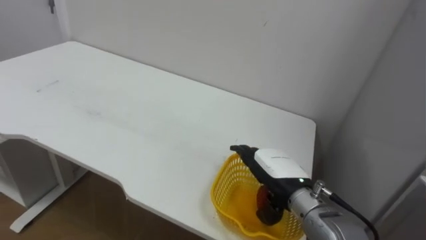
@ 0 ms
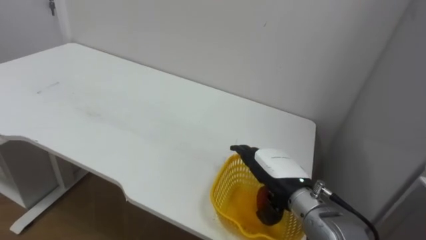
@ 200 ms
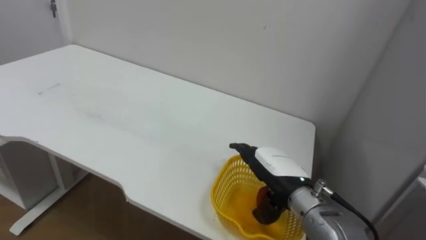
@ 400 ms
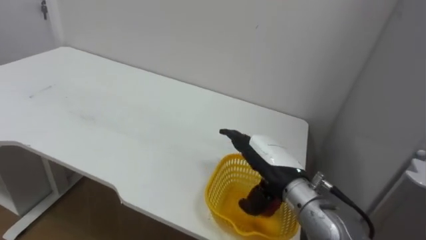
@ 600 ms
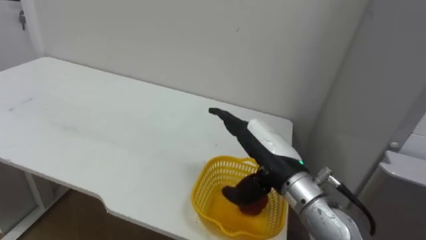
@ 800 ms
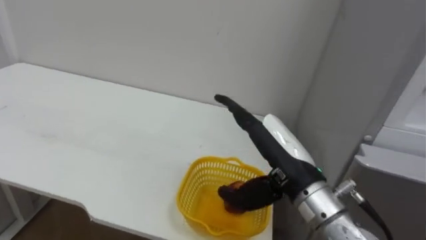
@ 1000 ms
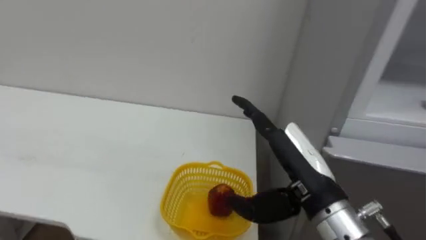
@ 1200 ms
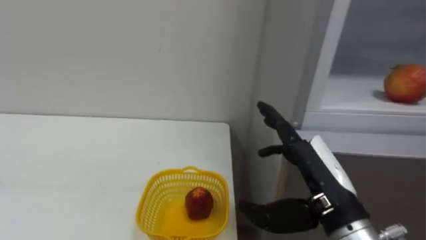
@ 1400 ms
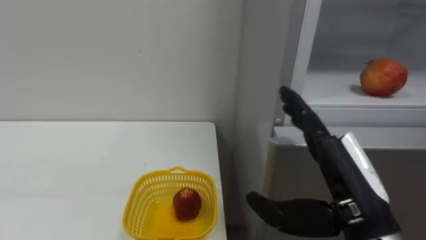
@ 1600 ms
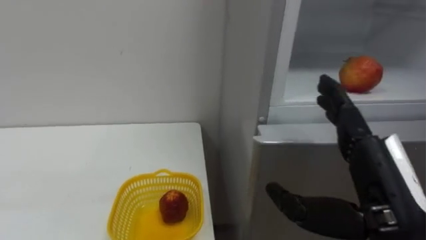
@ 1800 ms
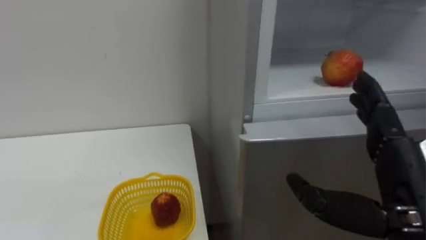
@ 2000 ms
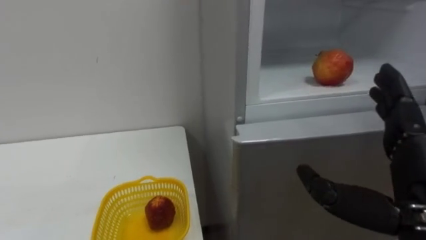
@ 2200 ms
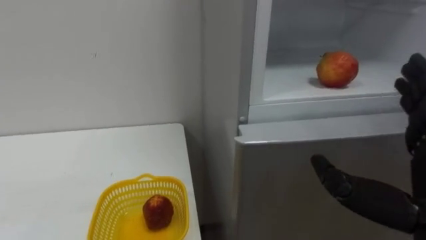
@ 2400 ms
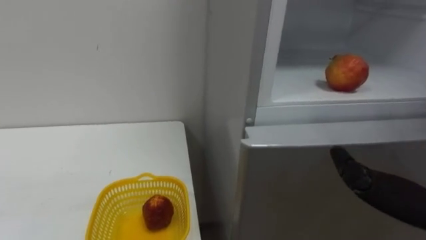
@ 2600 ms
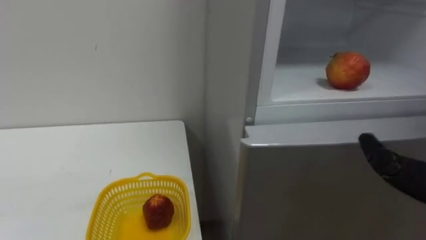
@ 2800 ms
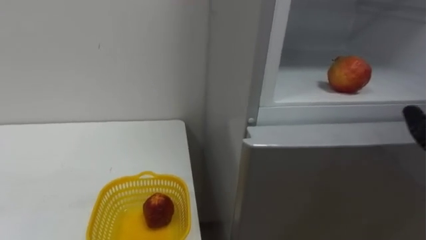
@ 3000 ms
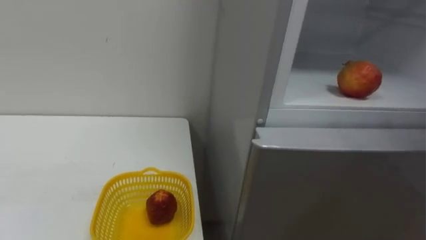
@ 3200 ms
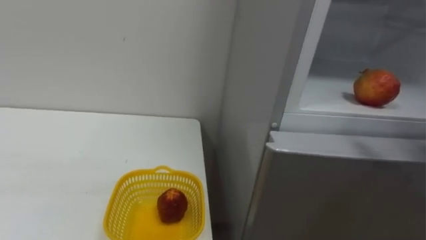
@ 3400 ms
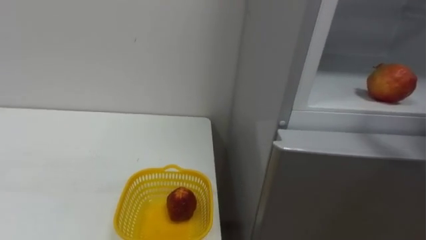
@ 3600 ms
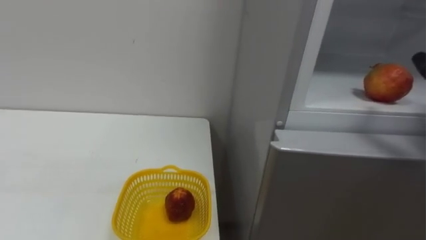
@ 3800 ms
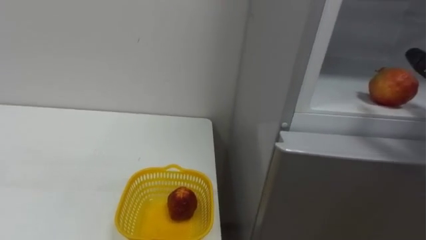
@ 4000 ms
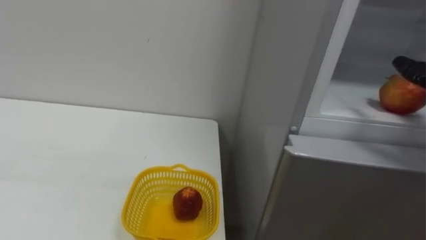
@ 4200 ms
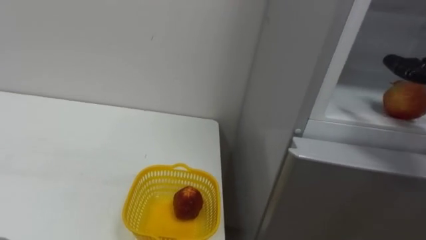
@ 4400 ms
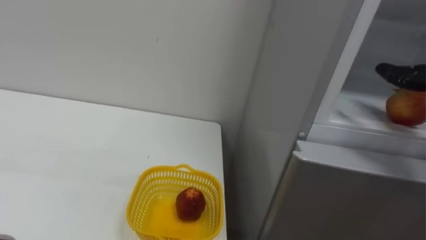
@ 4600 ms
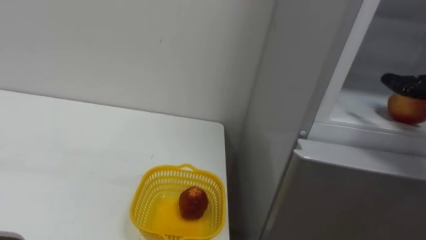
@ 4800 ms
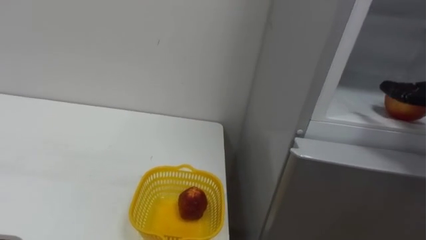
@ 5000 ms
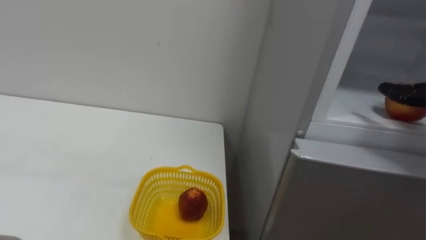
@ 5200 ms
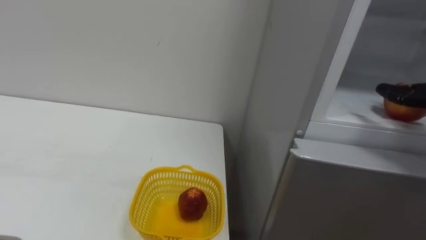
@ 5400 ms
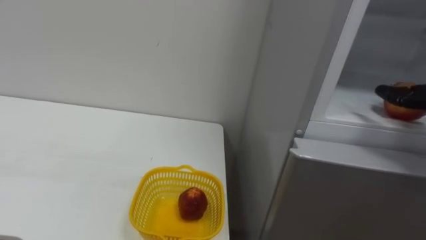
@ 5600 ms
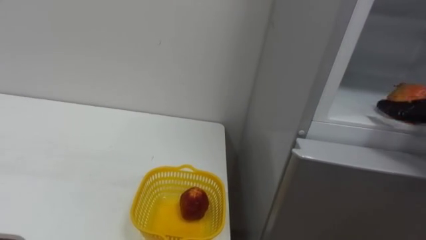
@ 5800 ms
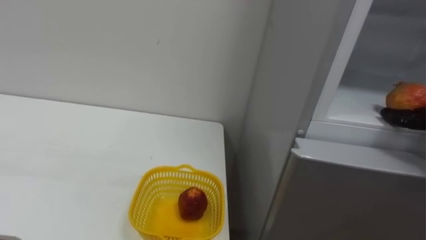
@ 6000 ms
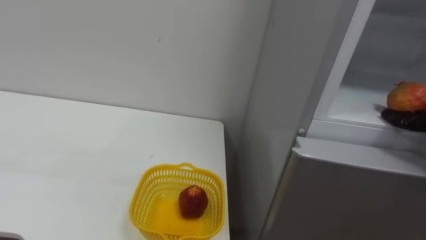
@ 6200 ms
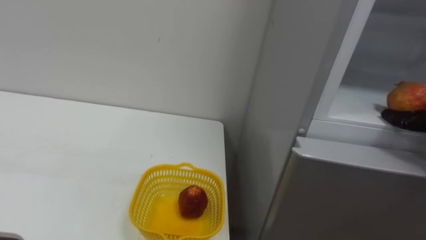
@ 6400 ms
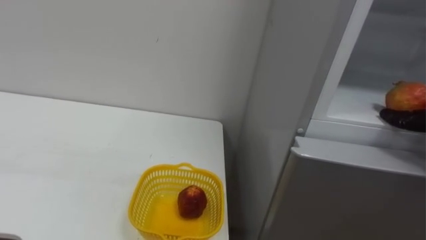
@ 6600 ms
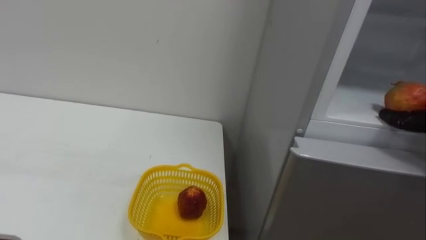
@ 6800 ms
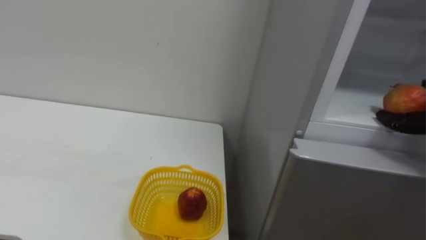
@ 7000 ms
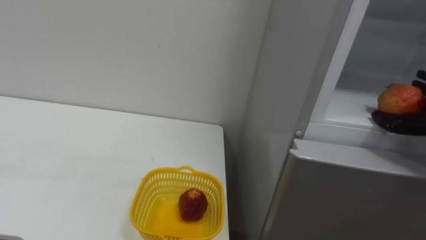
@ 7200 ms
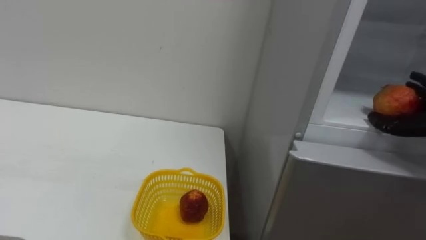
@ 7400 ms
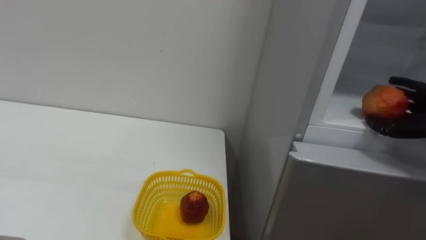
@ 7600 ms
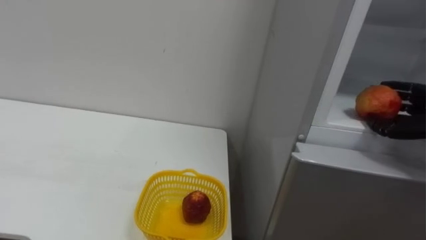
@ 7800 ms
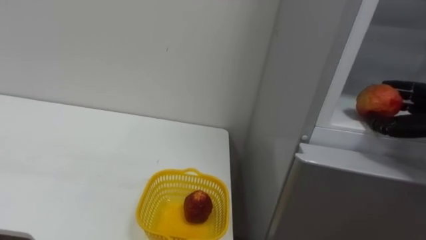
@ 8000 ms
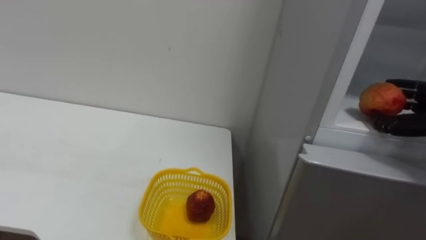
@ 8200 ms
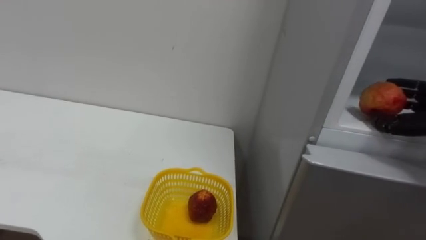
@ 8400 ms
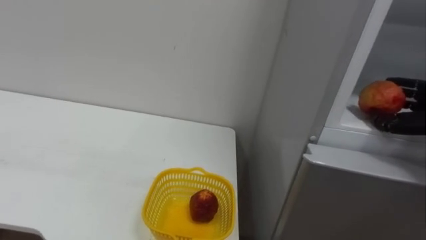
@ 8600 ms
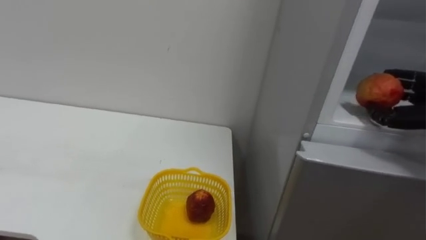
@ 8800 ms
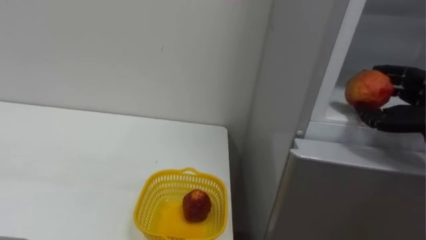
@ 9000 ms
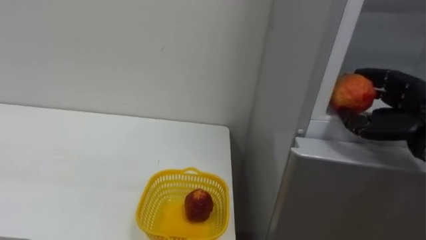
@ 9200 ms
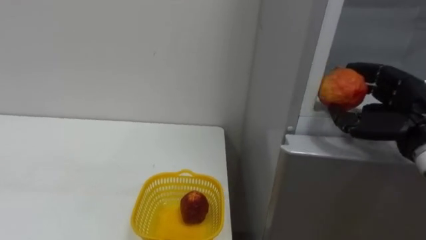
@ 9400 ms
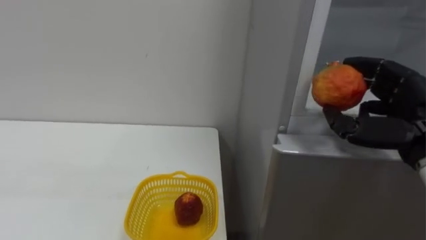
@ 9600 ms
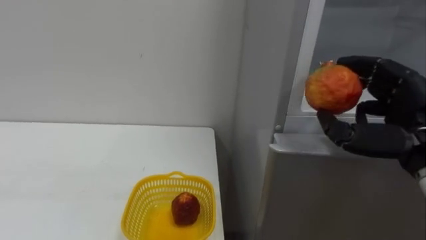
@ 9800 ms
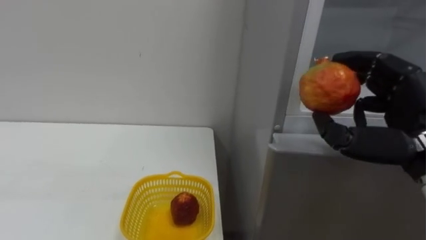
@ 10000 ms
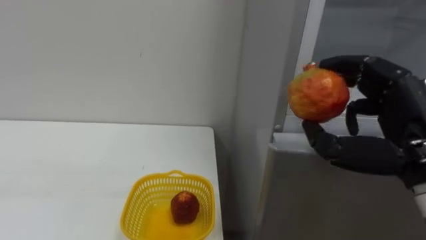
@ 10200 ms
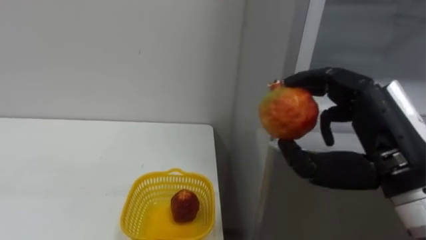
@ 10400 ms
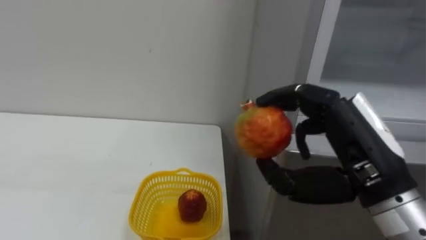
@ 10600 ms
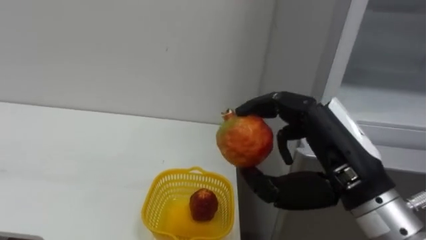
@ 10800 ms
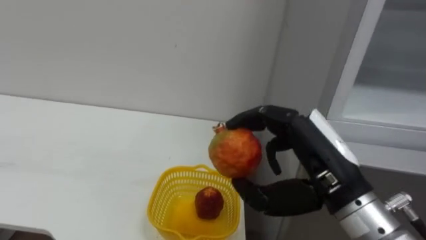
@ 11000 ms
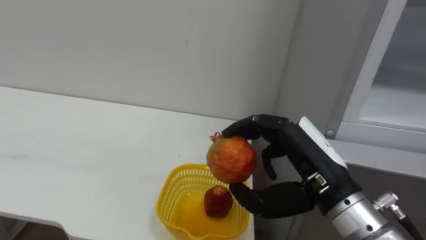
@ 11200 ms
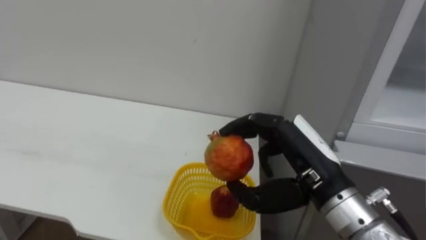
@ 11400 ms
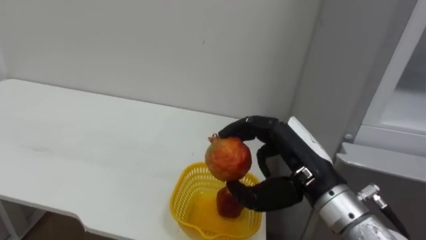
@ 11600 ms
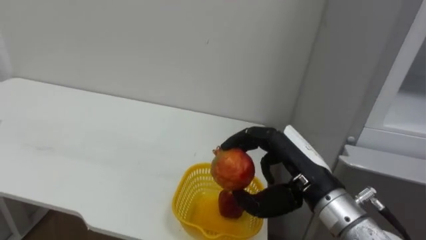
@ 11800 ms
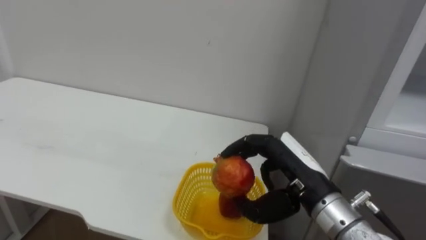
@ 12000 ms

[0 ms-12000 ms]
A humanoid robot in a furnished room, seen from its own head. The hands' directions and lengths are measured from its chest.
Task of the whole recording: Open the refrigerator door, take out the apple and the pomegranate, place them in the fruit basket on the left, and close the refrigerator door.
0 ms to 1600 ms: The right hand shifts about 15 cm backward, upward and to the right.
10400 ms to 12000 ms: The right hand goes approximately 15 cm downward, to the left and forward.

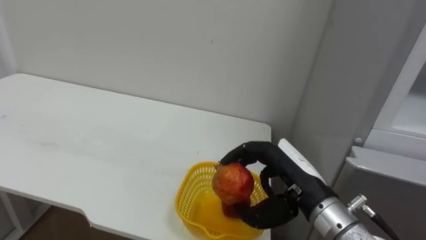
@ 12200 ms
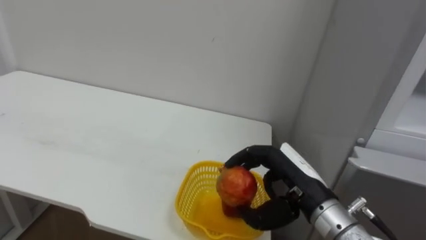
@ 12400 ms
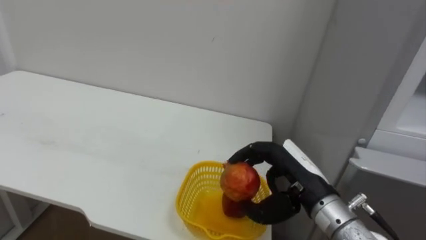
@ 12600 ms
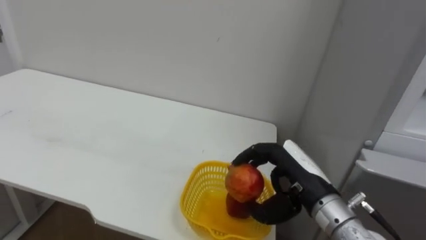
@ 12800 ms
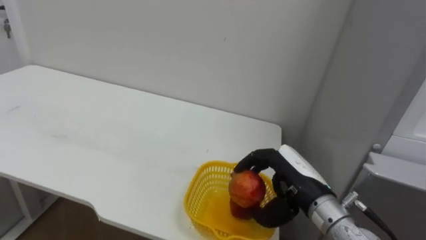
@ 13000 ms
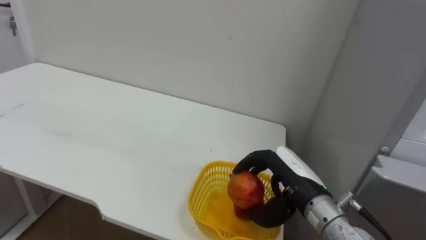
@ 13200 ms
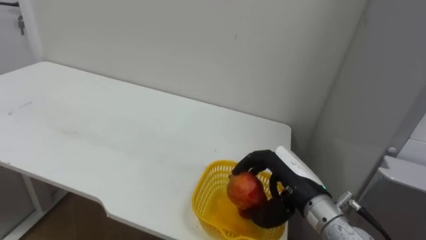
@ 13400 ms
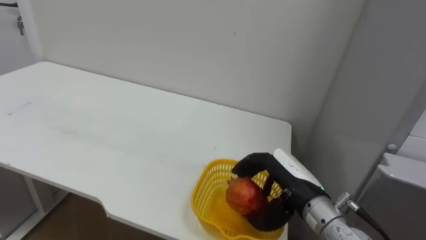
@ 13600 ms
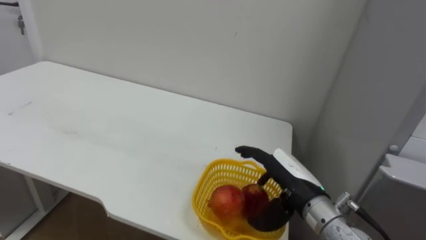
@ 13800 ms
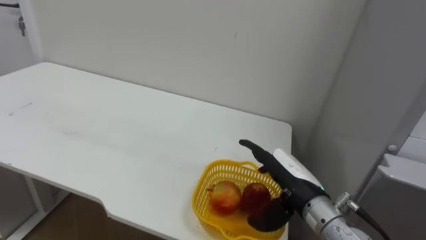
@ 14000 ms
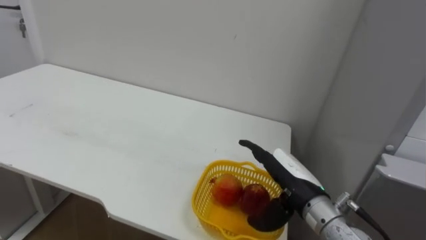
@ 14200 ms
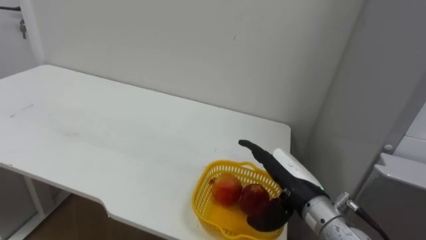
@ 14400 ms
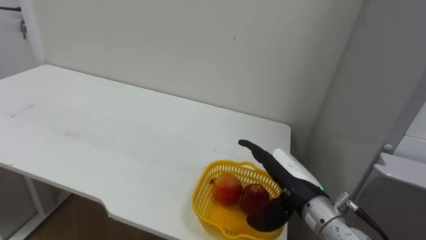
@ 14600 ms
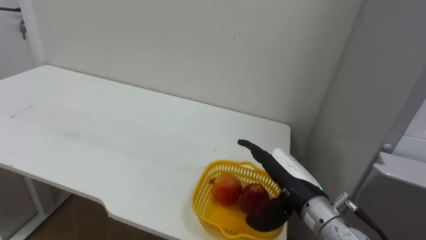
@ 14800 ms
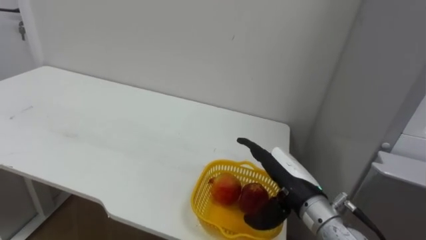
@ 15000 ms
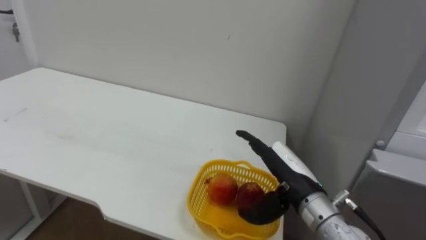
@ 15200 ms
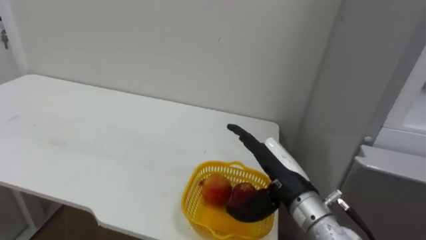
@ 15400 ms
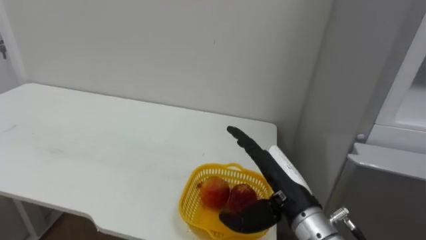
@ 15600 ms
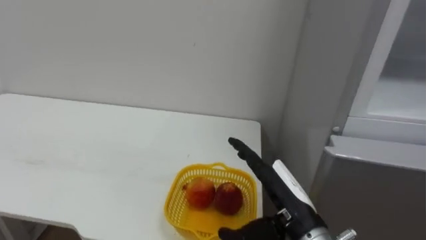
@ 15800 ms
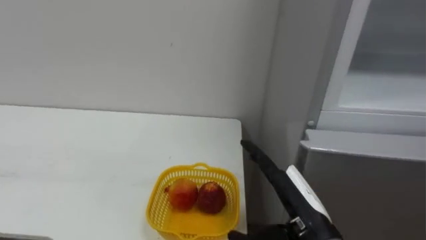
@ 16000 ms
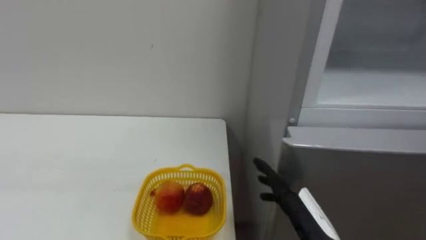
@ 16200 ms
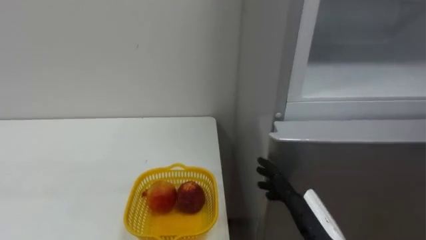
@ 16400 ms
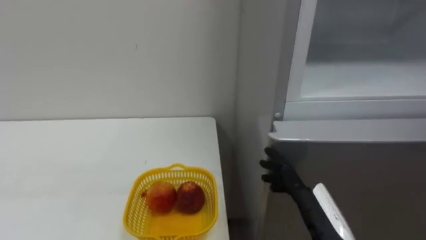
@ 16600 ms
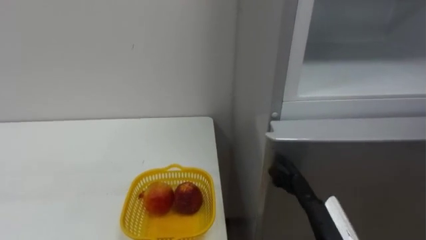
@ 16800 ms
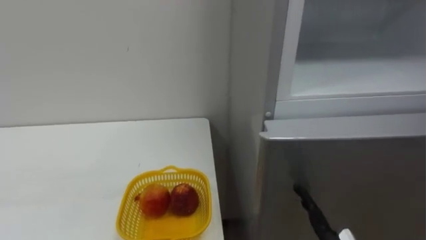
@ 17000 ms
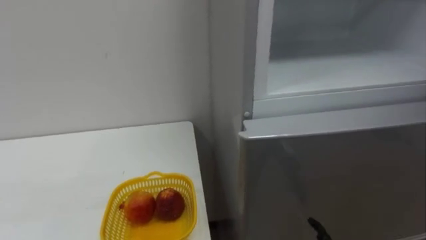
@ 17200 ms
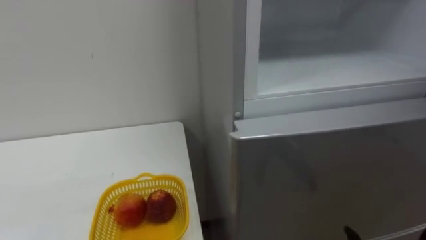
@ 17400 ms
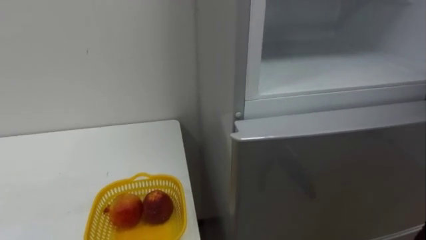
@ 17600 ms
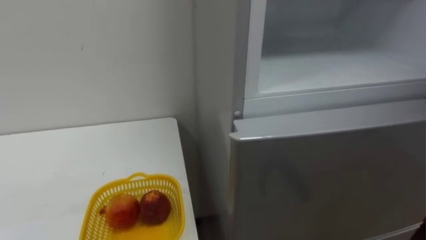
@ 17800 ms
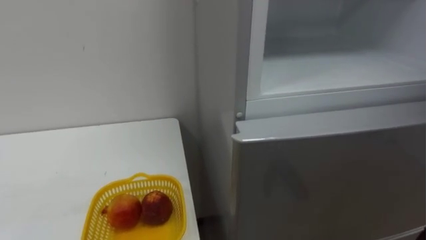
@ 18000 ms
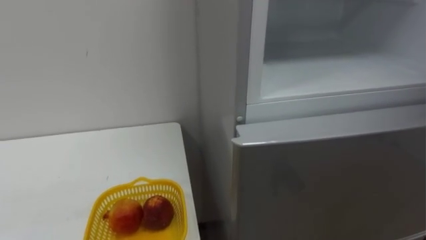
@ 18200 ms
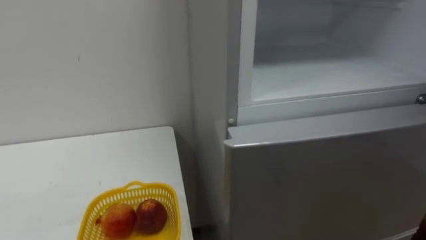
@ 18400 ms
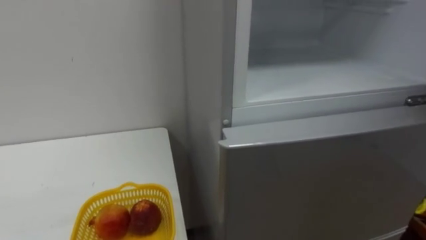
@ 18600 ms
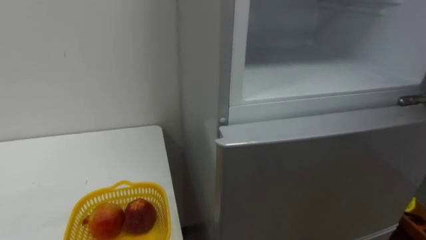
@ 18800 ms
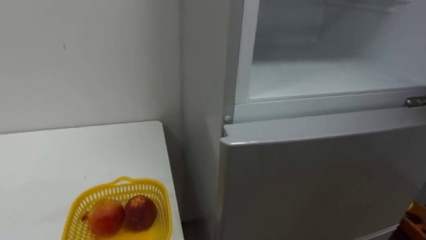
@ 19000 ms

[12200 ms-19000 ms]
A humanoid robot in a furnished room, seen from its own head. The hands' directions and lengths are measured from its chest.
Task of the whole recording: Open the refrigerator door, take out the apple and the pomegranate, place them in the fruit basket on the left, and close the refrigerator door.
13600 ms to 15000 ms: The right hand opens.
15000 ms to 16200 ms: The right hand moves backward, approximately 10 cm.
